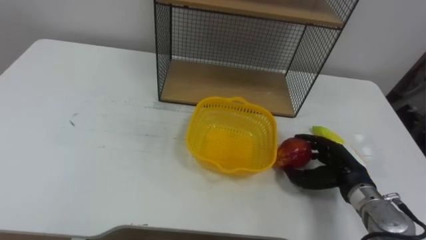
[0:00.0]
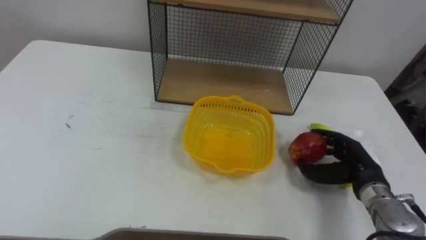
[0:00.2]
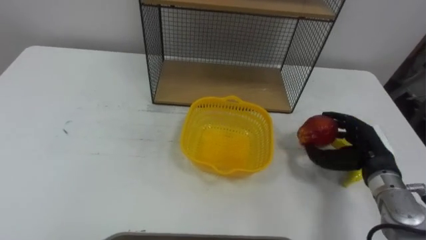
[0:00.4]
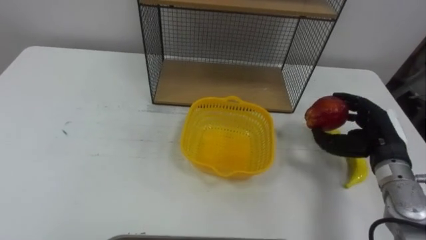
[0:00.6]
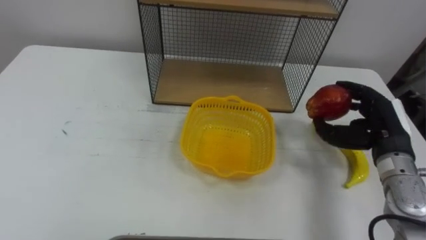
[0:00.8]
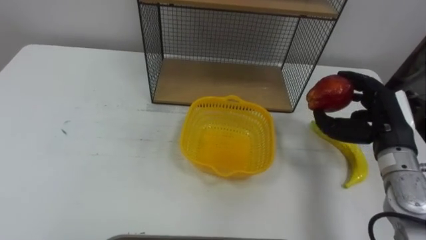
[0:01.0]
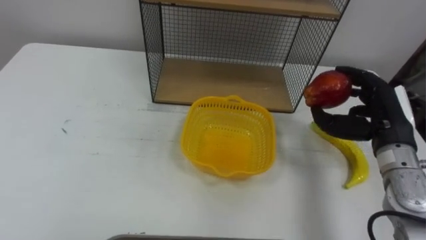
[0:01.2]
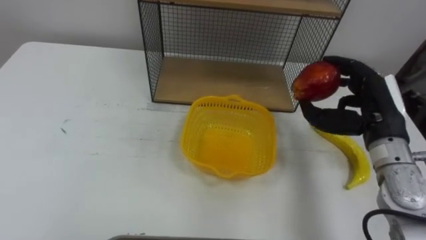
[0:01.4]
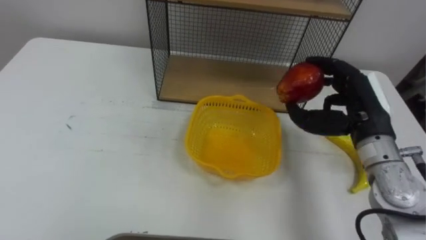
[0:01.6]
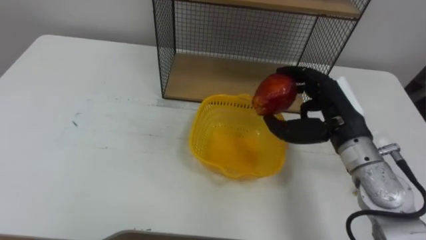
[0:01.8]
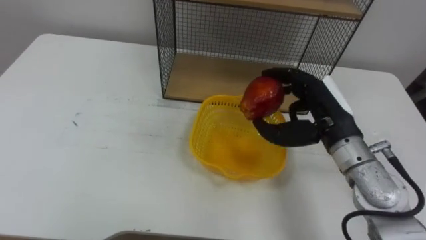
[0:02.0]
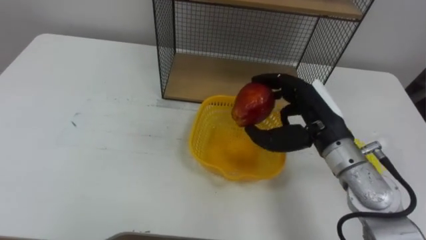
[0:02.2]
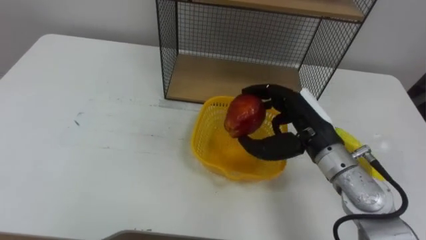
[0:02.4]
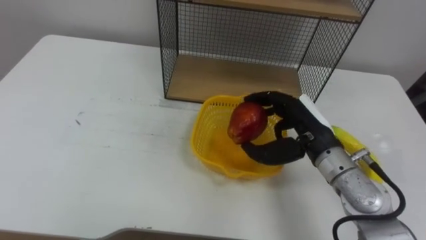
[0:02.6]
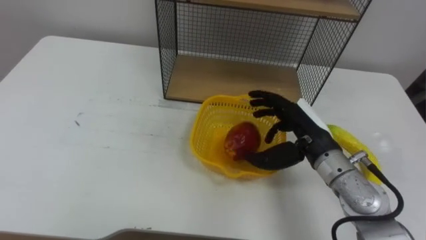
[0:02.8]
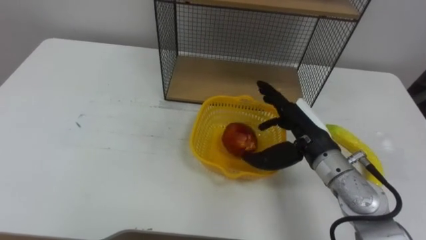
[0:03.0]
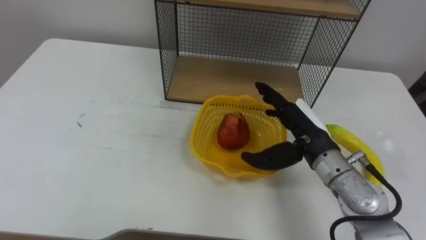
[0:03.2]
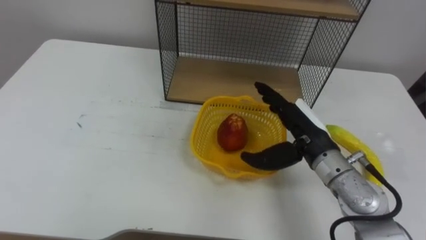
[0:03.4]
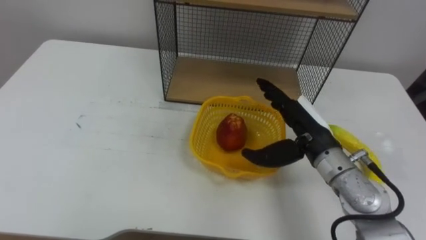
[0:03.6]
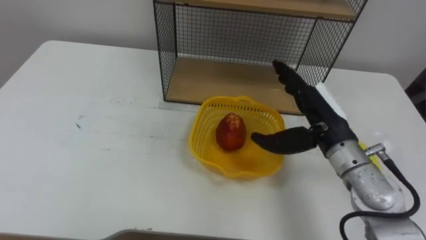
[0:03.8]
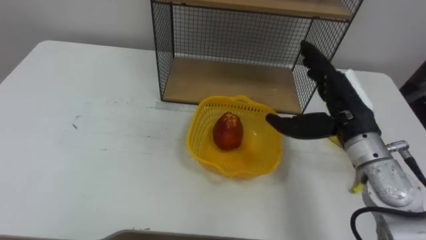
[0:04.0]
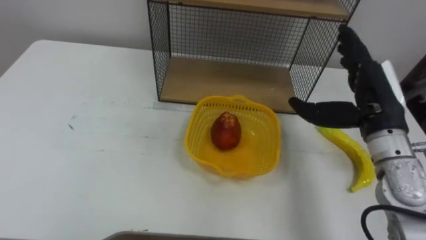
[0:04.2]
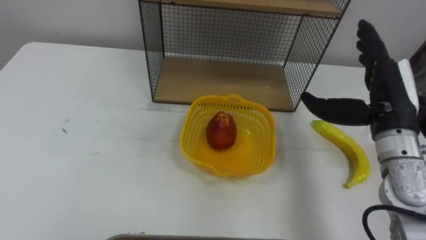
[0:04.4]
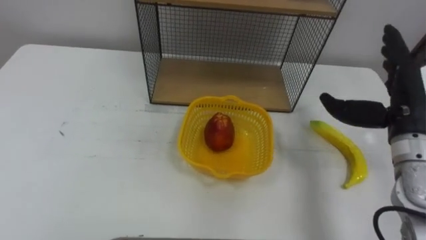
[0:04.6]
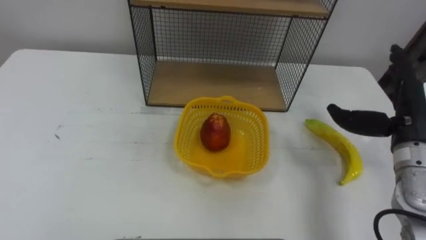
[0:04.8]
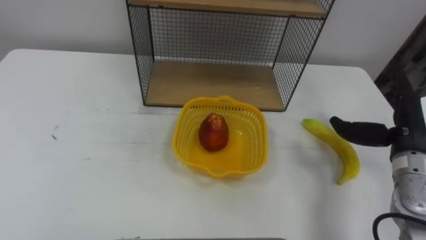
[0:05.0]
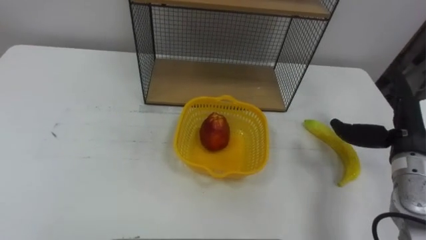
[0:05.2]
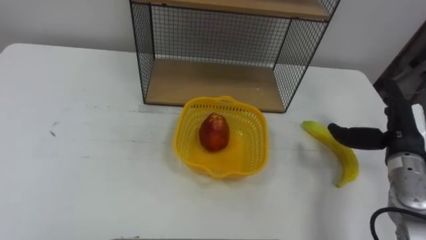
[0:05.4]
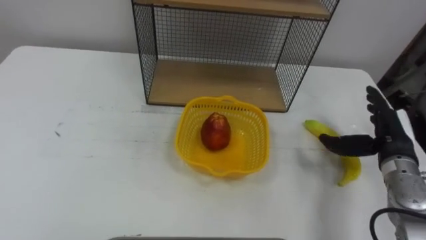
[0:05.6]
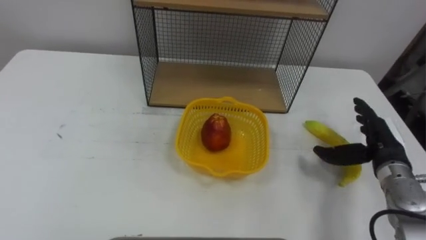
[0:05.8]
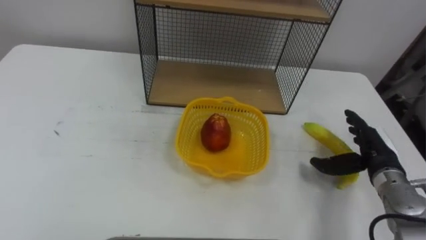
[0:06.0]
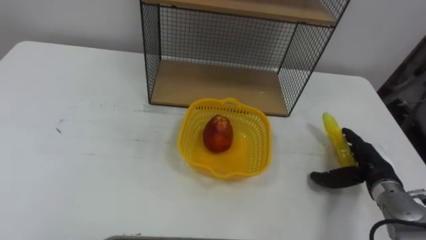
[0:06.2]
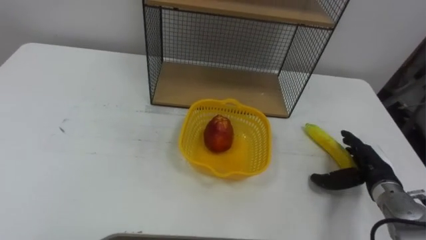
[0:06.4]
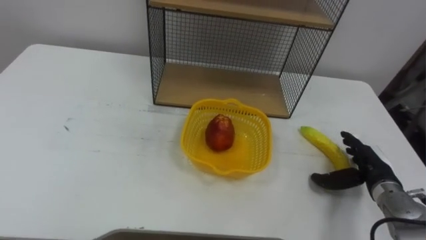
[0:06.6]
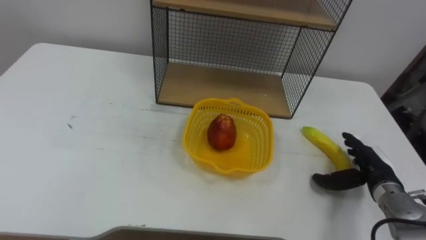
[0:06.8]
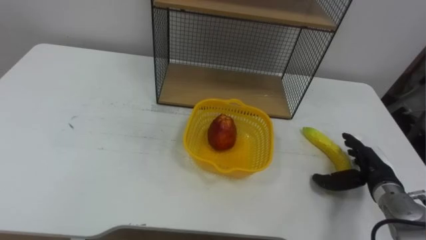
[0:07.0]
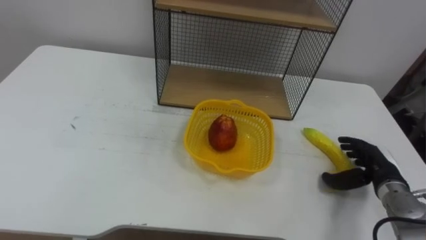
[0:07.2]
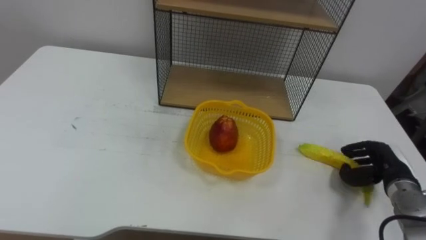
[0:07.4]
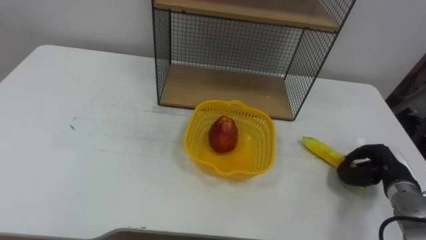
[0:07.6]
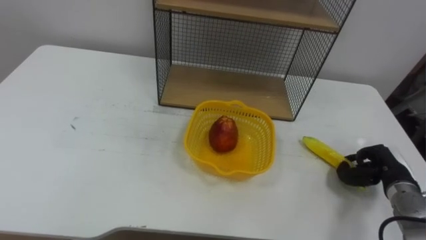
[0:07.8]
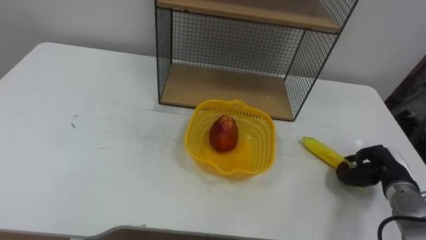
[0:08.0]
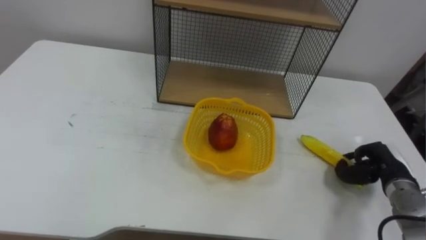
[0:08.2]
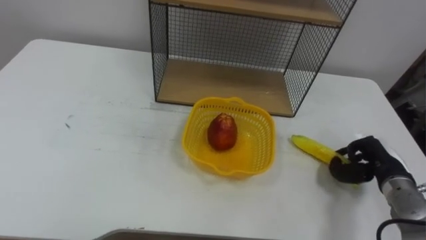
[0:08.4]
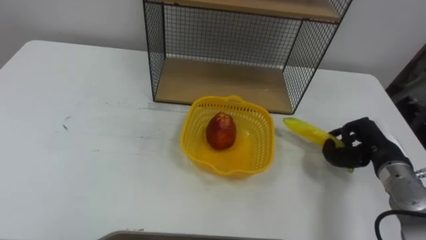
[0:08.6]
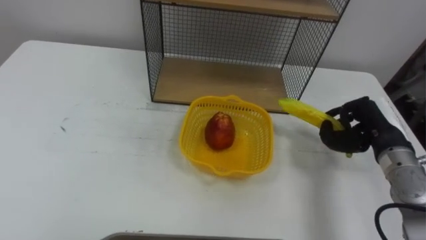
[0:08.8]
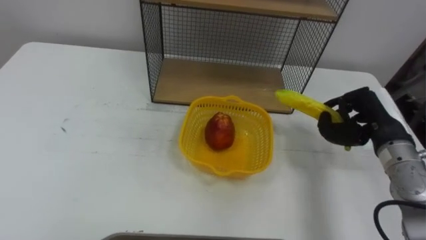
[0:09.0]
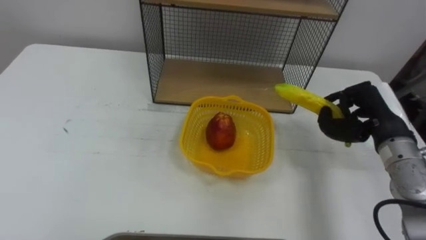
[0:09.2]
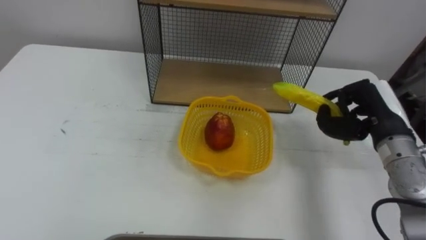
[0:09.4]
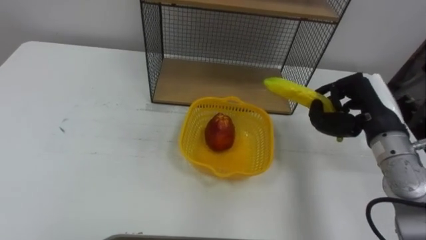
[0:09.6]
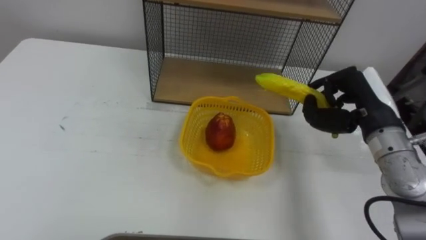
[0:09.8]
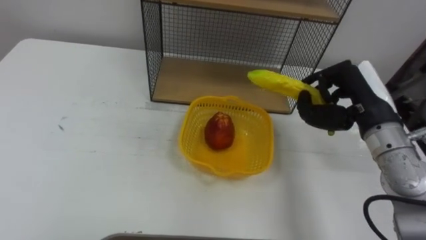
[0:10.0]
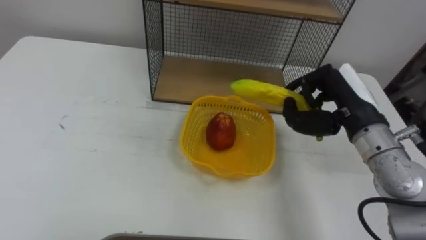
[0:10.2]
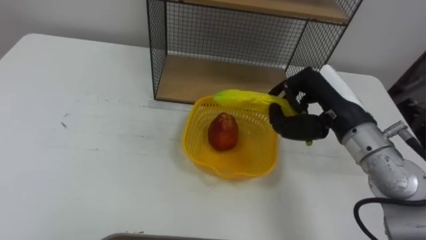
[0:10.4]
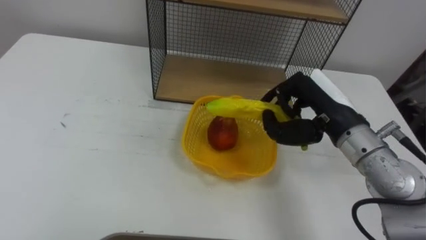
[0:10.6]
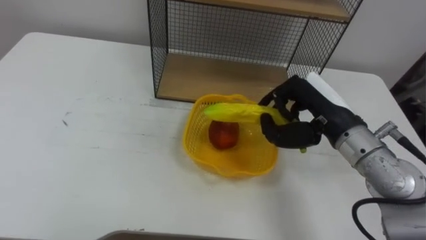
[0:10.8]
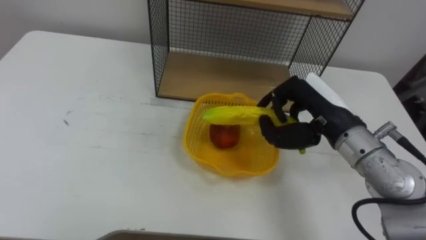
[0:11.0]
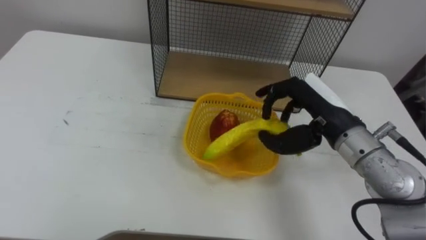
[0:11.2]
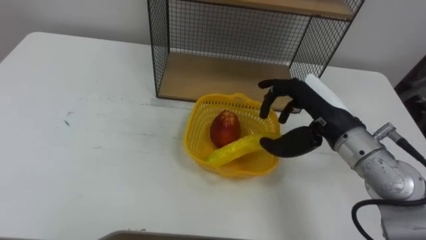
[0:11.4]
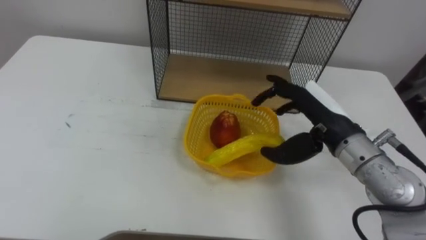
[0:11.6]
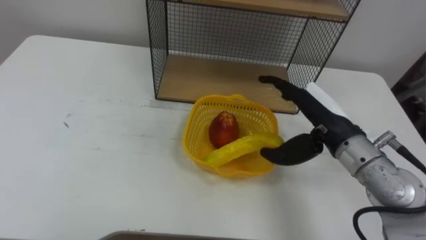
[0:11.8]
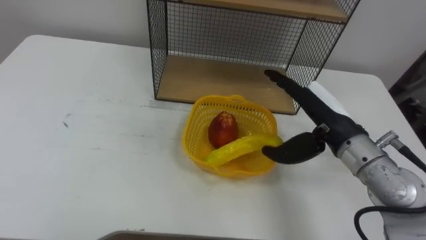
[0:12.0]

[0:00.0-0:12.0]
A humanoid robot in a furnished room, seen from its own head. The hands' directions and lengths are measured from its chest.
Task of the whole recording: Put the fruit on the table into the basket, then place the basket on the shelf.
0:00.0 to 0:01.6: The right hand travels upward by some 15 cm.
0:01.6 to 0:03.0: The right hand travels to the left by approximately 10 cm, and opens its fingers.
0:03.0 to 0:04.4: The right hand is displaced to the right and upward by approximately 10 cm.
0:04.4 to 0:06.0: The right hand moves downward, roughly 15 cm.
0:06.0 to 0:07.6: The right hand moves about 5 cm, and closes.
0:07.6 to 0:09.0: The right hand travels upward and to the left by roughly 15 cm.
0:09.0 to 0:10.4: The right hand travels to the left and upward by about 10 cm.
0:10.4 to 0:12.0: The right hand opens.

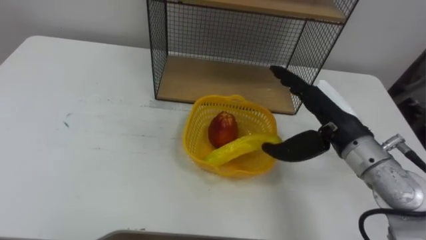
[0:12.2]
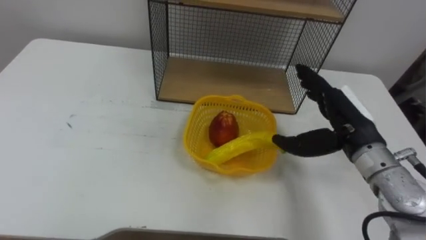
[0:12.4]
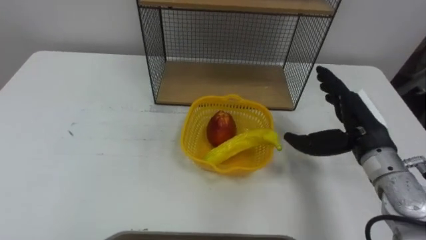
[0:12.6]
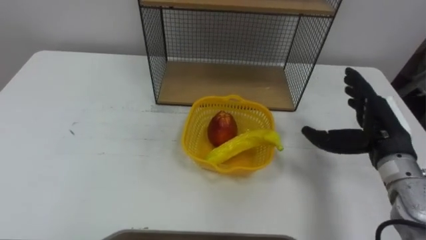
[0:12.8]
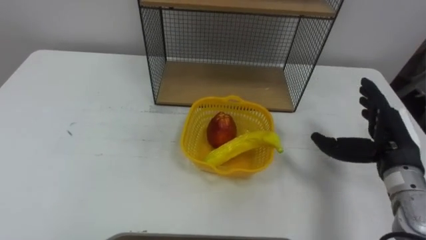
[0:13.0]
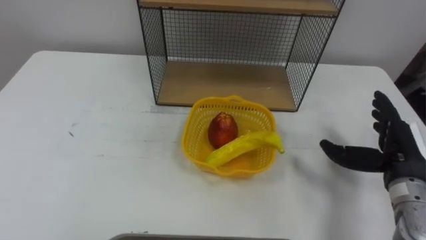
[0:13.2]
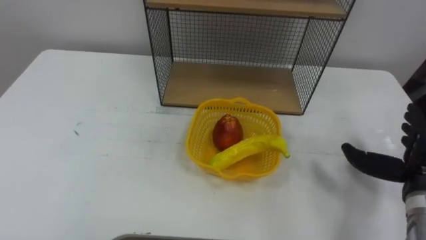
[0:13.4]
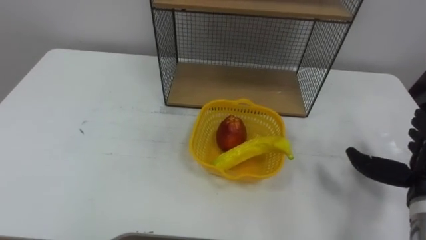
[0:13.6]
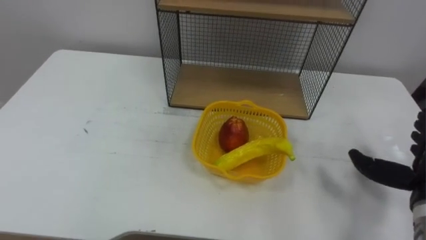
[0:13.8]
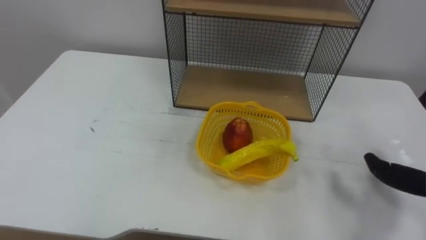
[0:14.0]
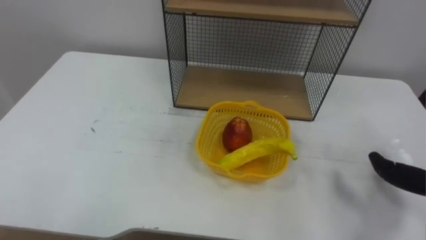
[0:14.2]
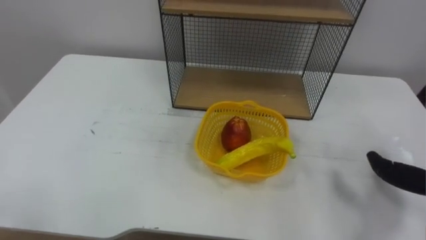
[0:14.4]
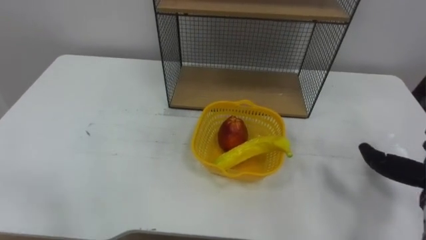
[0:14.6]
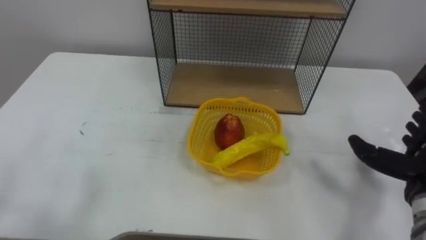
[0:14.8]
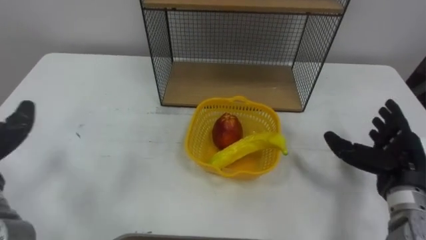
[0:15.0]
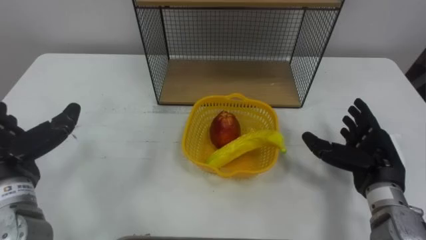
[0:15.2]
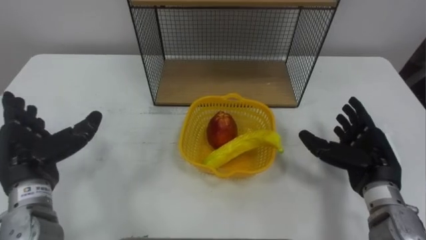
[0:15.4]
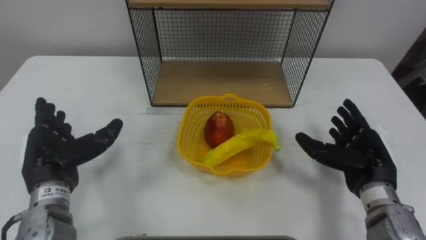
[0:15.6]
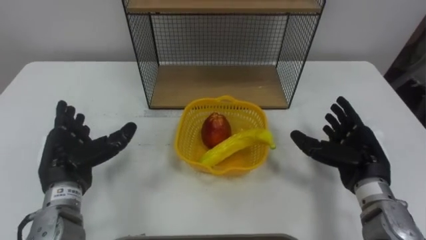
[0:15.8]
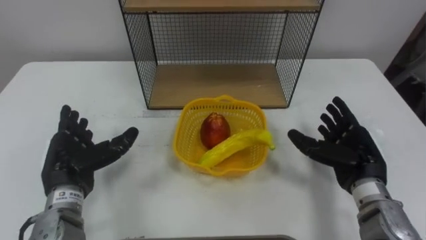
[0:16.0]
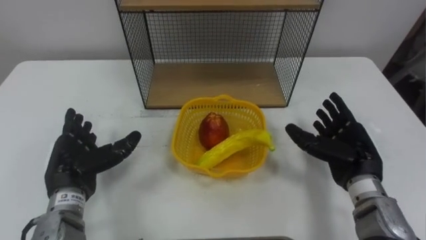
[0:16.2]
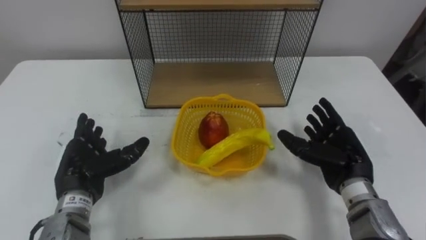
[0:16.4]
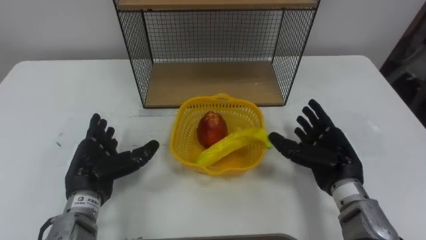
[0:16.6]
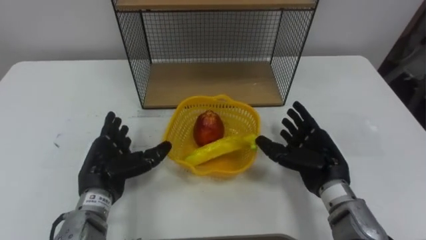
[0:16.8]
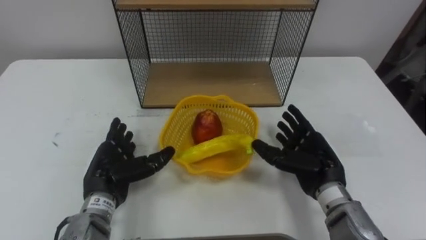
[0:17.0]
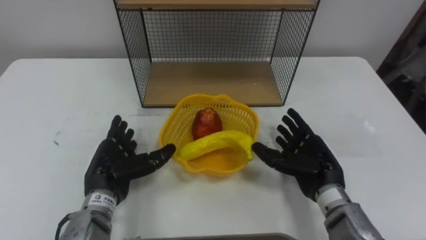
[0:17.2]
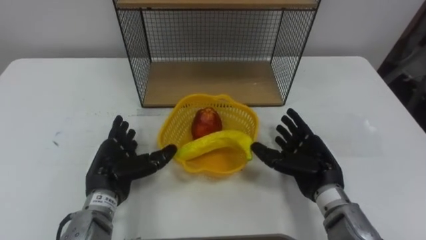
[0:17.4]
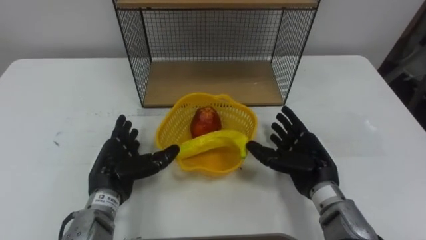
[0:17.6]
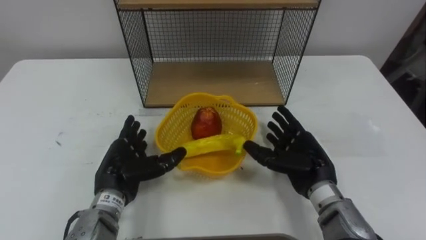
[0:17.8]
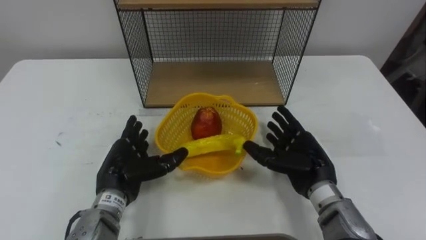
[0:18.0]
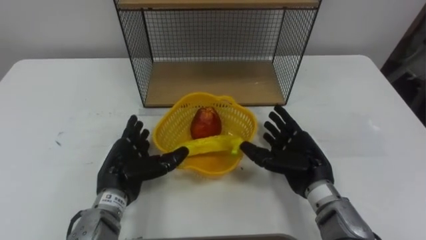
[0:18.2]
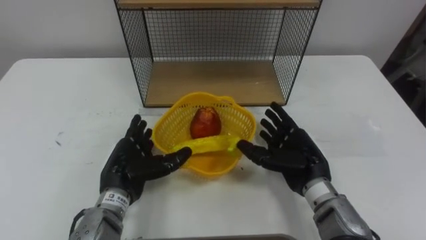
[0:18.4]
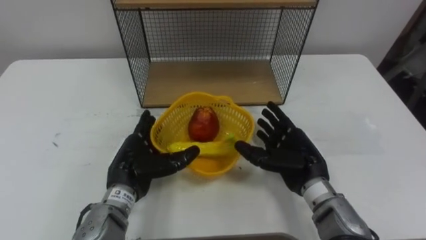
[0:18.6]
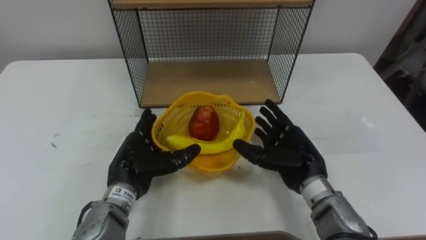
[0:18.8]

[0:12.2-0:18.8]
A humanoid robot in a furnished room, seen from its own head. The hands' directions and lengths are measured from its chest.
Task of the whole recording: Put the fruit on the table into the basket, then place the basket on the shelf.
0:15.4 to 0:17.2: The left hand goes about 15 cm to the right and downward; the right hand shifts about 10 cm to the left.
0:17.2 to 0:18.8: The hands stay close to where they were, moving slightly.
